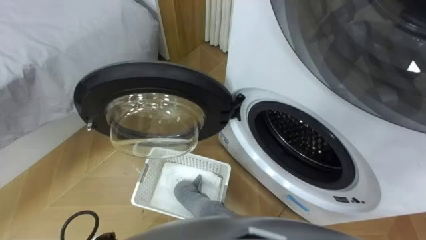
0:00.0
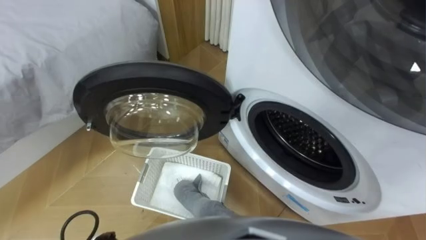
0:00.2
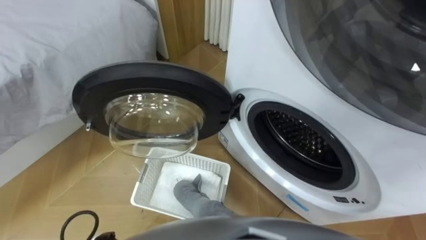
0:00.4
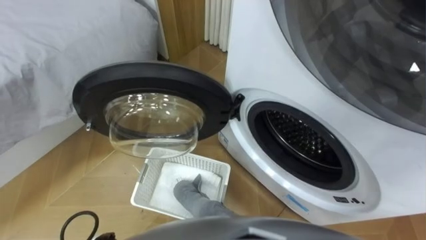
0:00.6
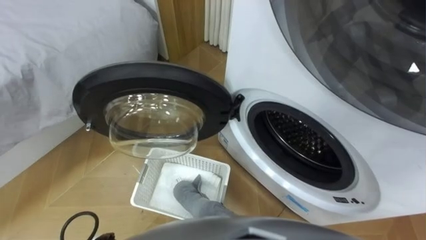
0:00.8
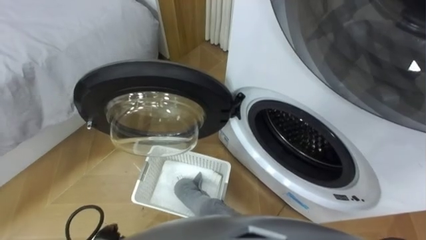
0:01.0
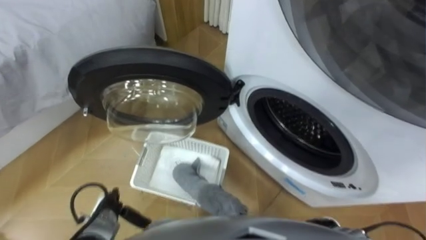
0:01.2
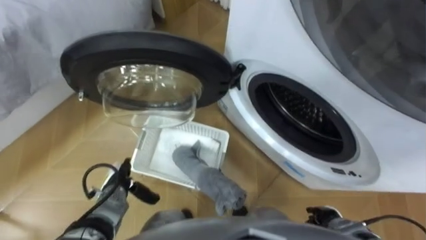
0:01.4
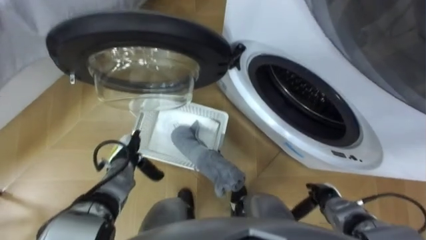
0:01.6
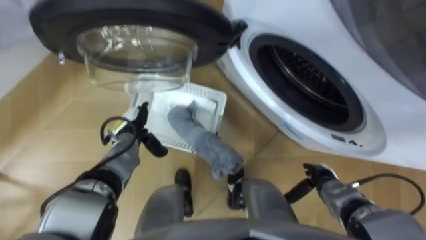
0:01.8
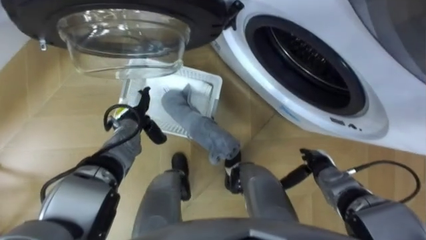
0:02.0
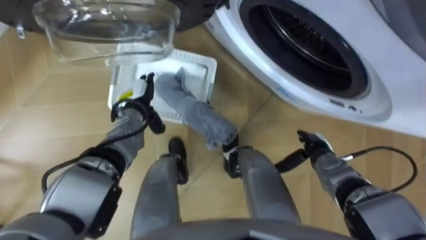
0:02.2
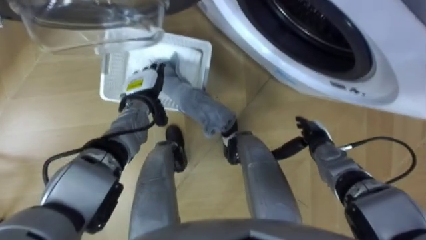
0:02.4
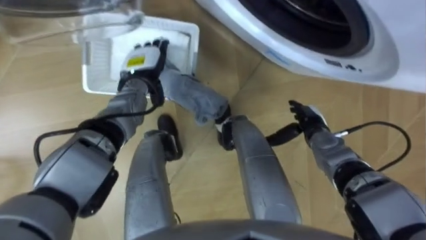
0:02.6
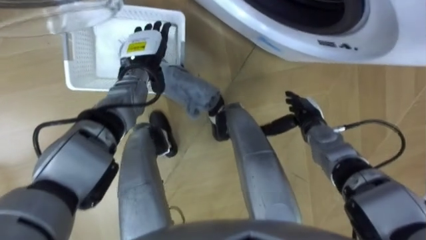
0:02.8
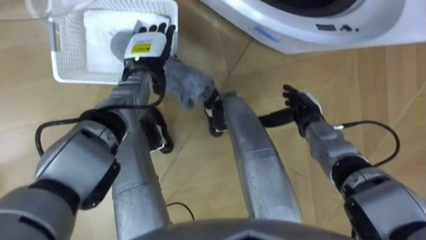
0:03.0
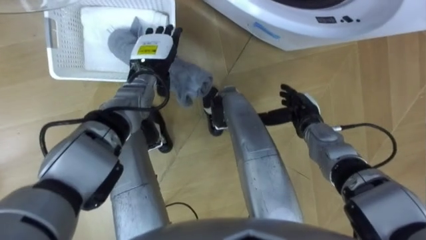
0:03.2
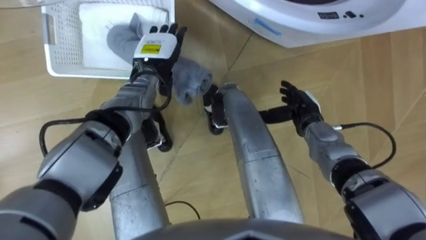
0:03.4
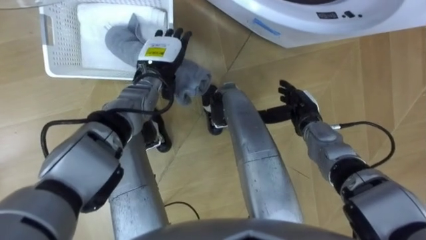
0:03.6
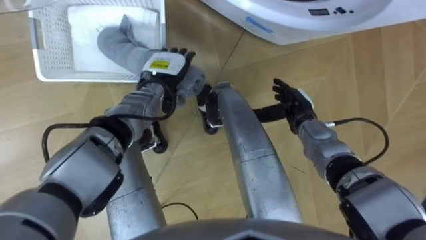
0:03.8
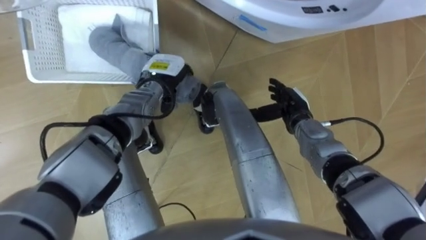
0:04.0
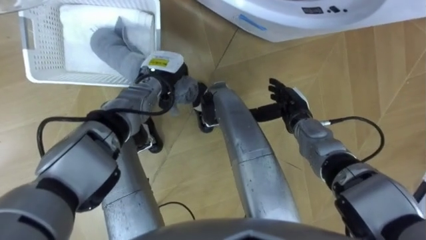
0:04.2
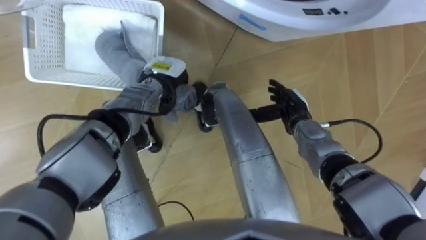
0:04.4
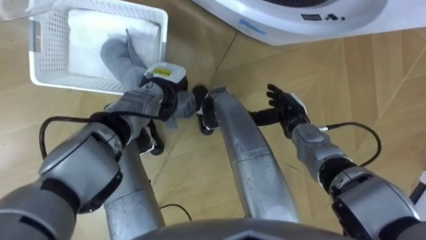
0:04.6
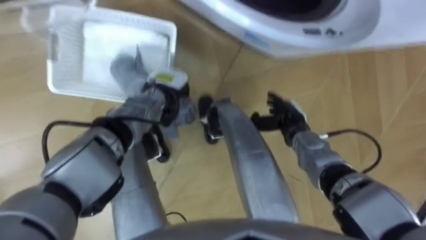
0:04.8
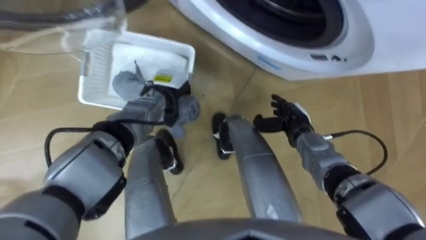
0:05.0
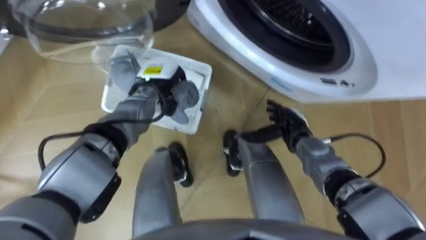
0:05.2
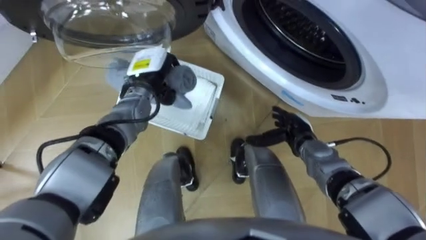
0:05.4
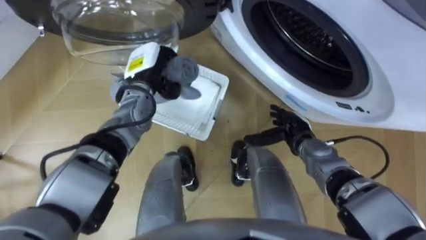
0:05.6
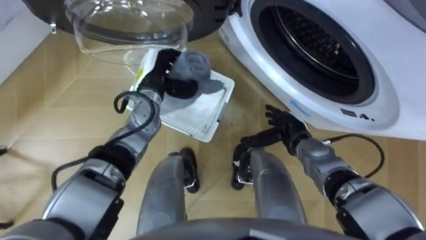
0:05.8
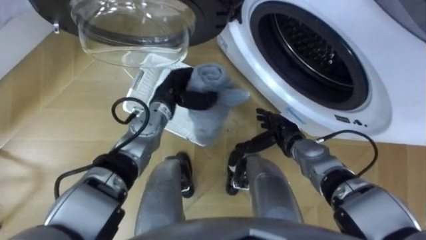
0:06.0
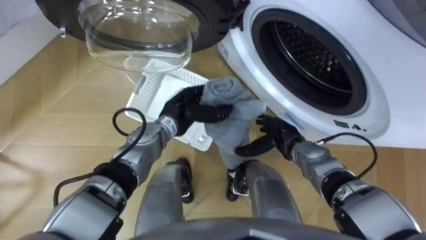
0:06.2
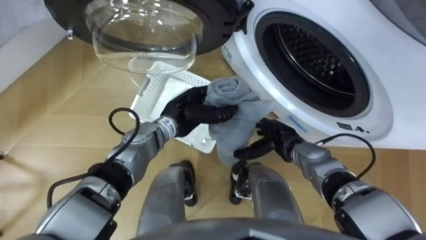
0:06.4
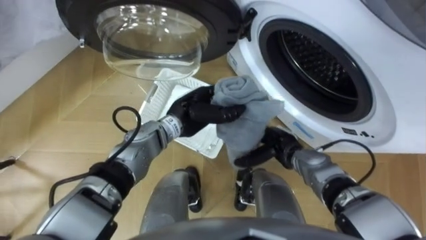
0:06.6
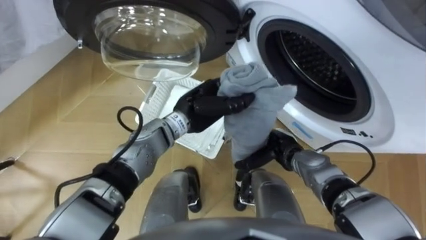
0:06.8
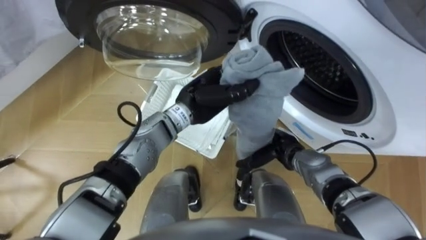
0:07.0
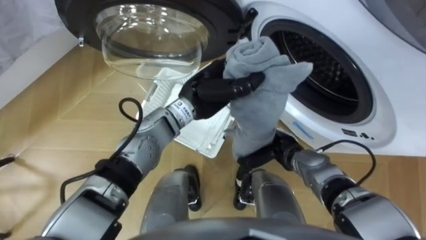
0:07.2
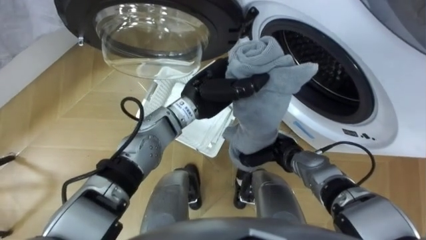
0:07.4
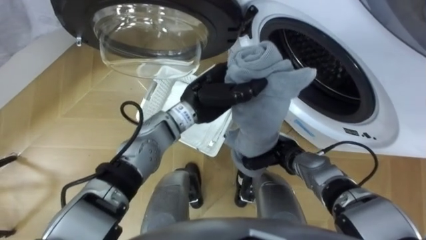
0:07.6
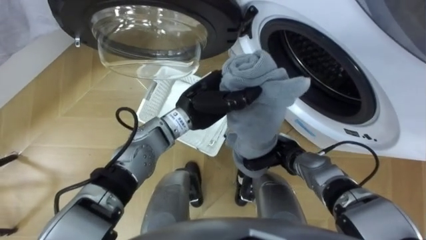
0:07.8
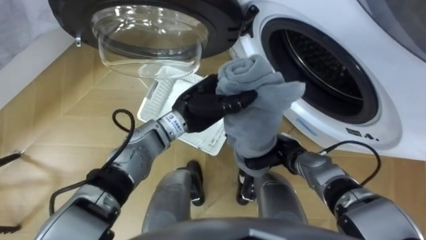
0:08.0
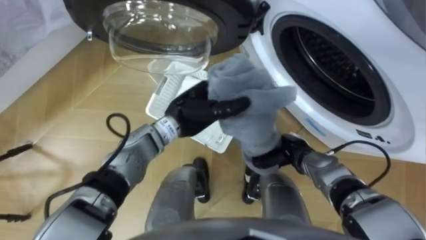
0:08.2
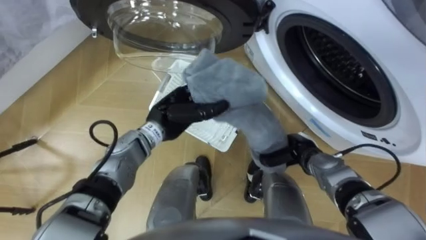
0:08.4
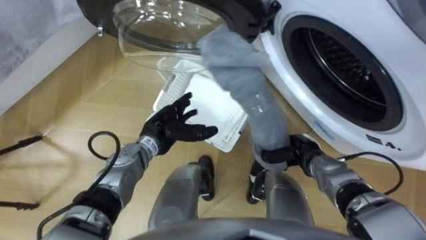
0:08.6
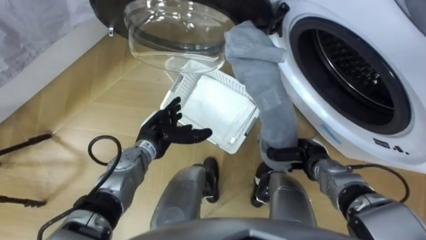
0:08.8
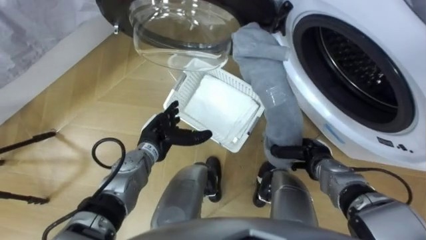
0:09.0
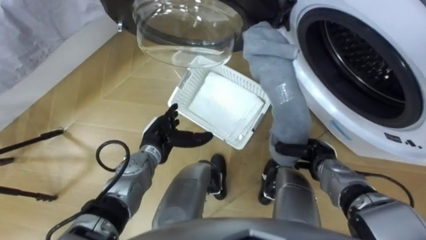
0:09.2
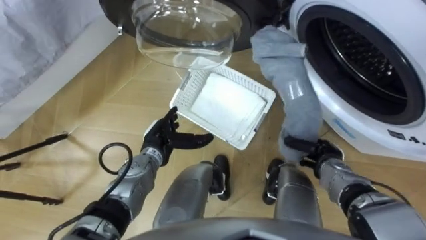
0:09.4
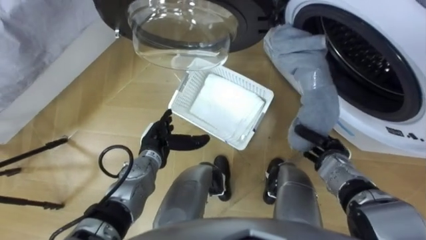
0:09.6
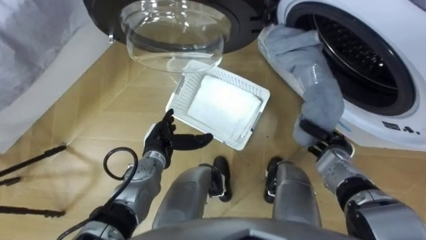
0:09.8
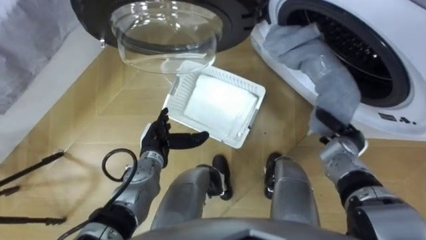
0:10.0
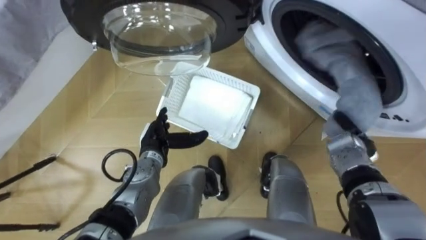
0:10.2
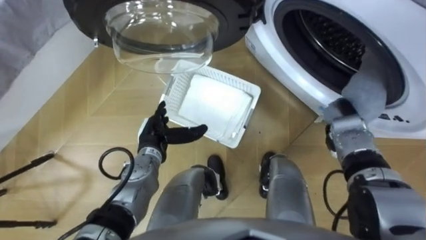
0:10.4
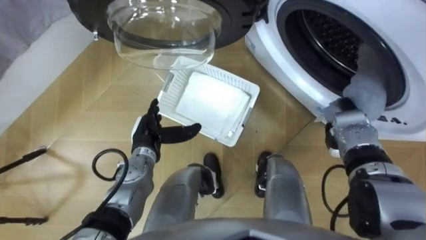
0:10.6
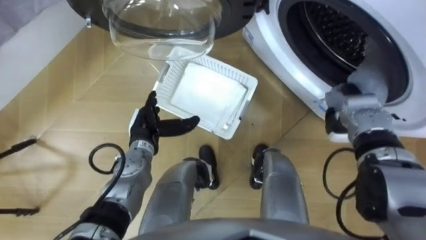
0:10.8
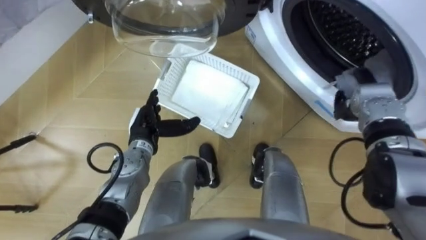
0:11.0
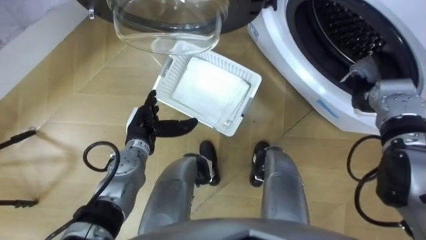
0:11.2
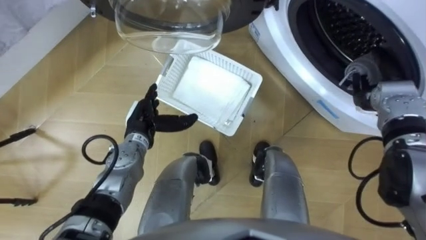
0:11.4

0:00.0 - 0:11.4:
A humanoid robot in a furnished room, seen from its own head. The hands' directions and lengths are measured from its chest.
Task of the whole recording: Take the towel from the basket and put it into the washing machine.
0:01.4 - 0:02.8: The two hands go approximately 25 cm forward and upward.
0:02.8 - 0:04.2: The left hand shifts by roughly 5 cm, and closes up.
0:04.2 - 0:05.6: The right hand shifts by approximately 5 cm.
0:05.6 - 0:07.2: The left hand shifts some 15 cm to the right and backward.
0:07.2 - 0:08.6: The left hand goes some 15 cm downward and to the left, and opens its fingers. Meanwhile the right hand moves to the right, about 5 cm, and closes its fingers.
0:08.6 - 0:10.0: The right hand travels to the right by some 10 cm.
0:10.0 - 0:11.4: The left hand shifts by some 5 cm, while the right hand heads forward, upward and to the right, covering some 15 cm, and opens.

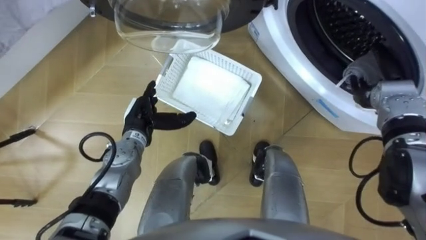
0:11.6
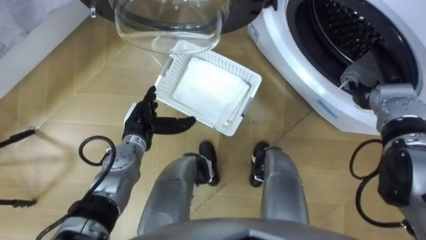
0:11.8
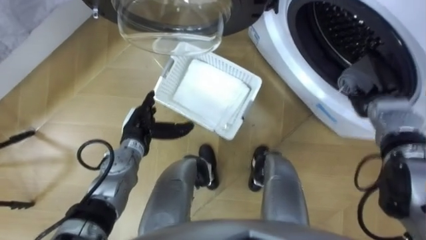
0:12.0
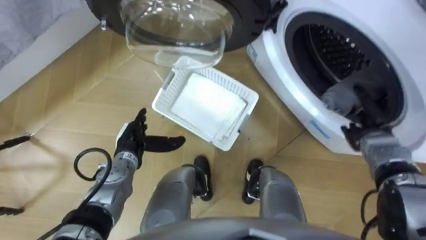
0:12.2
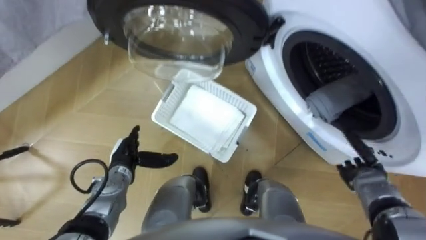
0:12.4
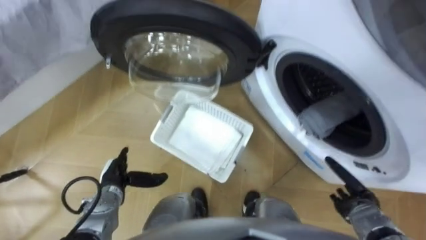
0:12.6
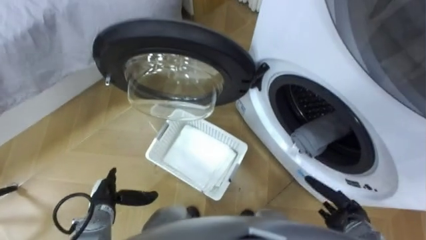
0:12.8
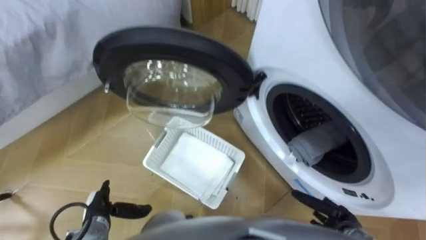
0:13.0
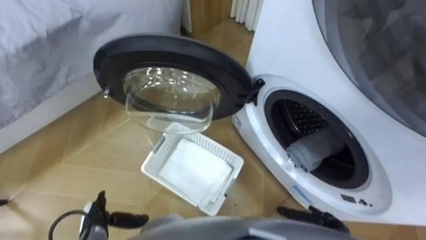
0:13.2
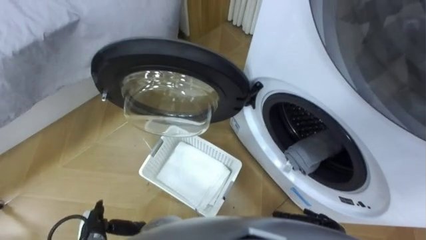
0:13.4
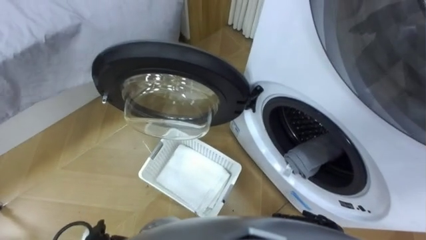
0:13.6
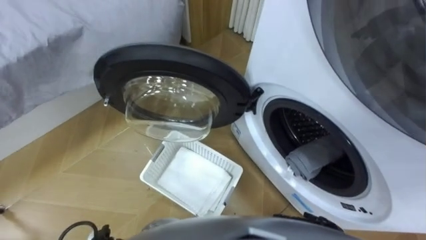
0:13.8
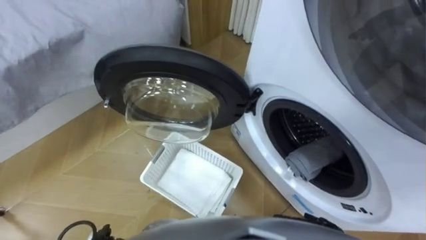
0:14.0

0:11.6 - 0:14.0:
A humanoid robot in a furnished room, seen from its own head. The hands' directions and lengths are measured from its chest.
Task of the whole recording: Take the towel from the basket and put it into the washing machine.
0:11.6 - 0:12.8: The left hand heads backward, downward and to the left, covering approximately 20 cm; the right hand moves backward and downward, some 30 cm.
0:12.8 - 0:14.0: The right hand goes approximately 5 cm backward and to the left.

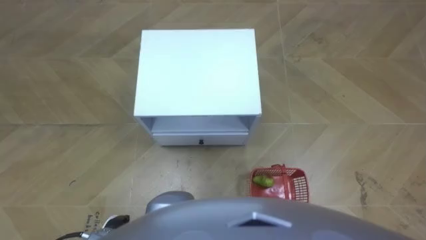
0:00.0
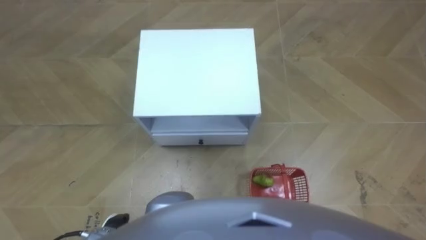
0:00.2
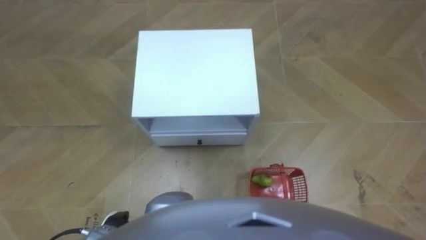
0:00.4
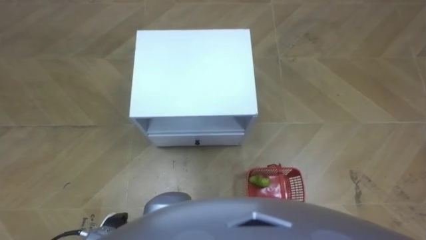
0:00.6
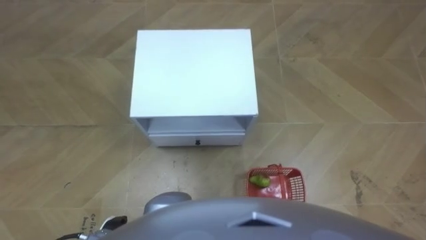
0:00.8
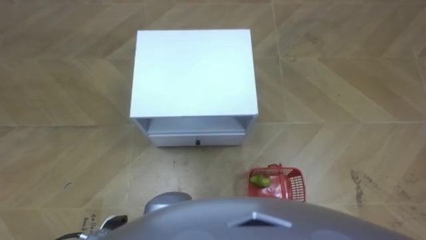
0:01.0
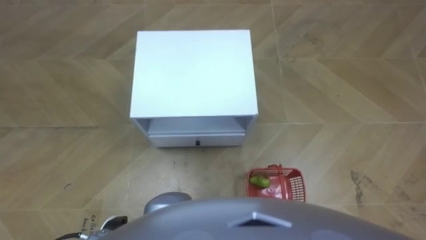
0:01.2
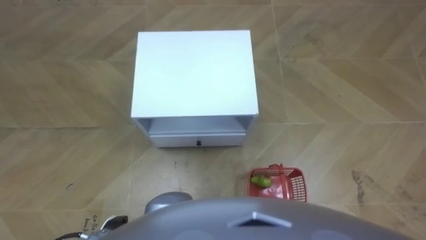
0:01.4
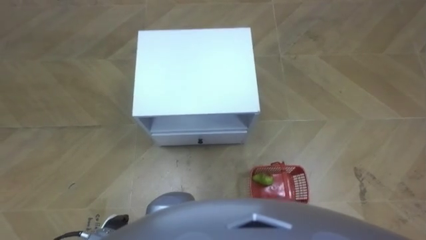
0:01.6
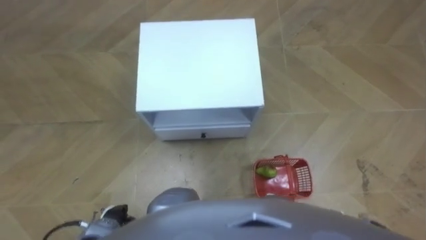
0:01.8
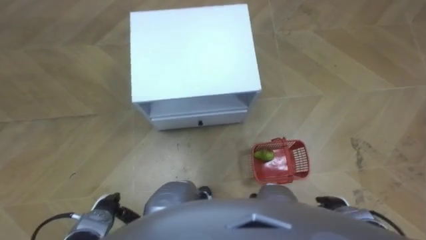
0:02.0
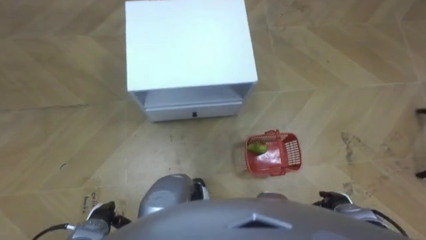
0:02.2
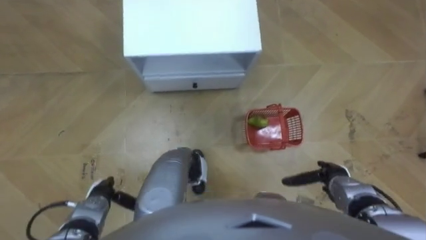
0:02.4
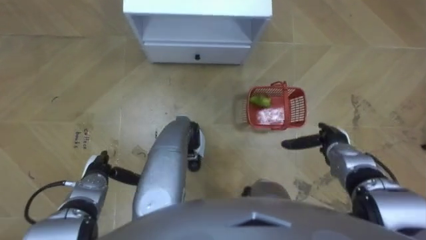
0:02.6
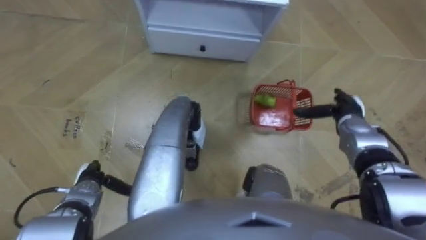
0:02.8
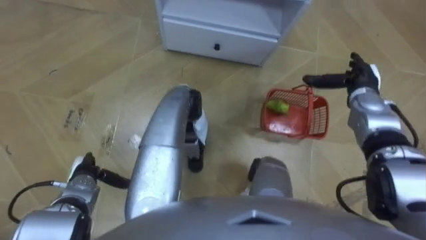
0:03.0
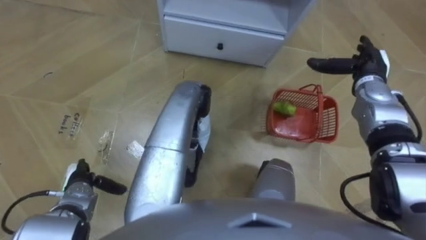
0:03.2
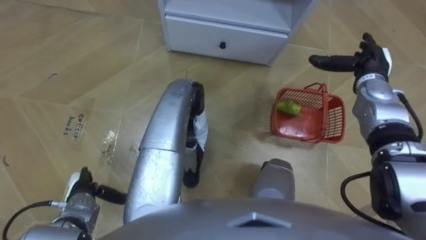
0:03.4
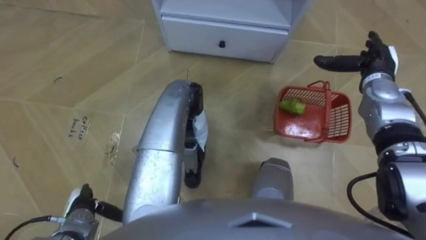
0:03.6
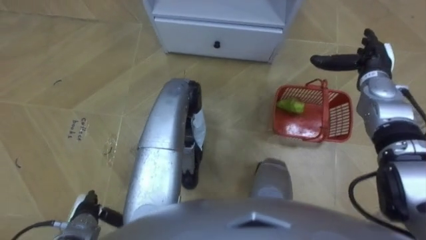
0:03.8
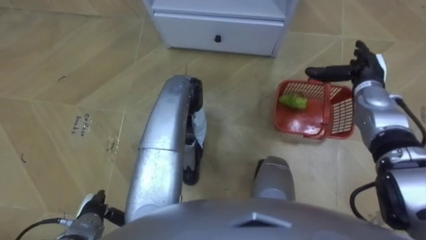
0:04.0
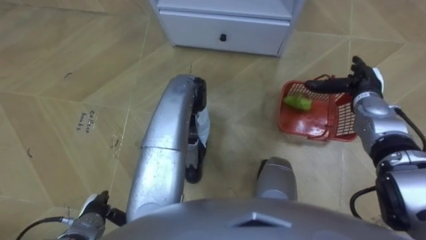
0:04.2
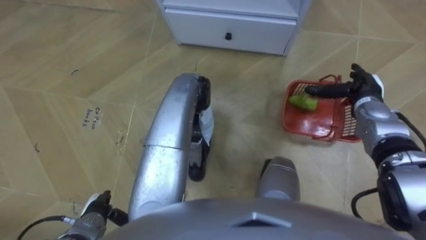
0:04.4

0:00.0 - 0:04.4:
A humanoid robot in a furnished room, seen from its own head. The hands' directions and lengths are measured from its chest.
Task of the whole recording: Pick up the fruit basket from the floor and place it on the cabinet.
0:01.4 - 0:03.0: The right hand heads forward and upward, covering some 35 cm, while the left hand moves forward and to the left, some 15 cm.
0:03.0 - 0:04.4: The left hand shifts roughly 10 cm backward.
